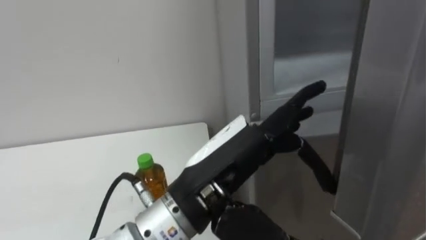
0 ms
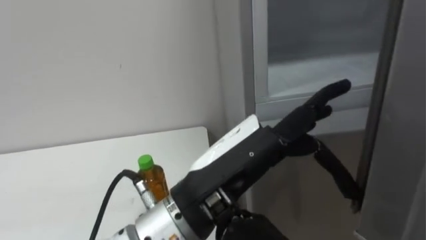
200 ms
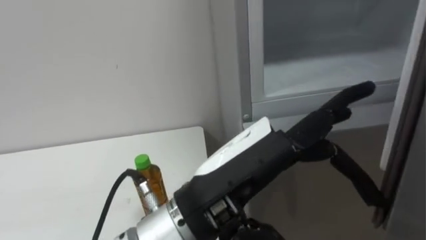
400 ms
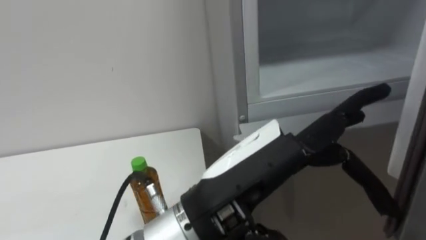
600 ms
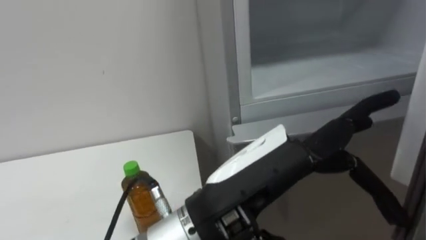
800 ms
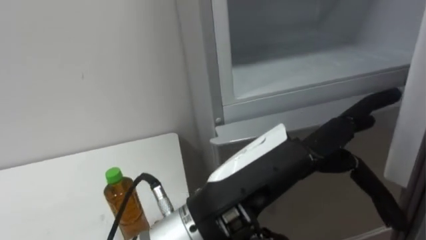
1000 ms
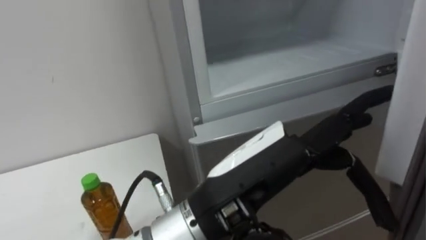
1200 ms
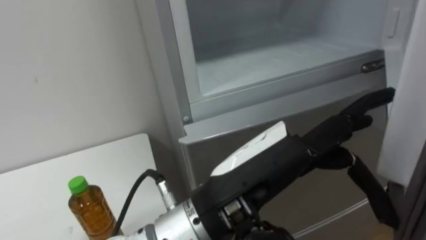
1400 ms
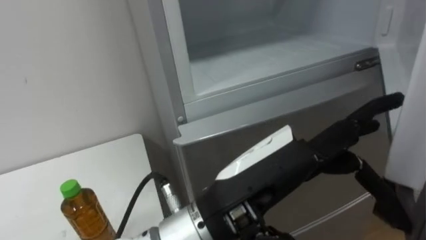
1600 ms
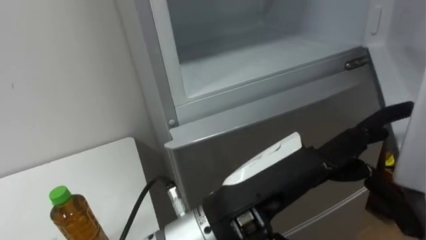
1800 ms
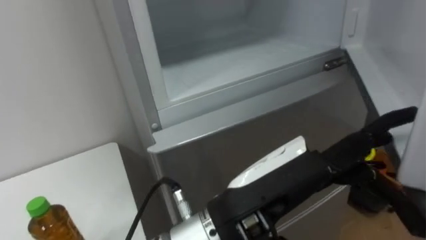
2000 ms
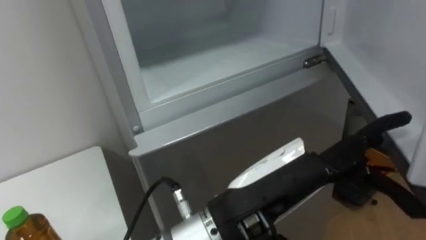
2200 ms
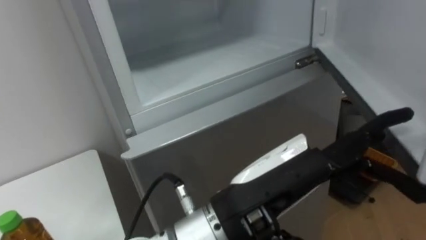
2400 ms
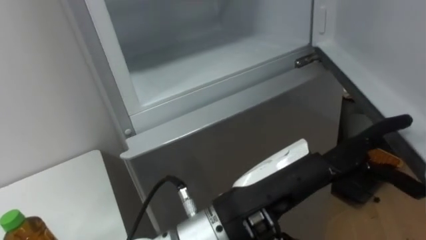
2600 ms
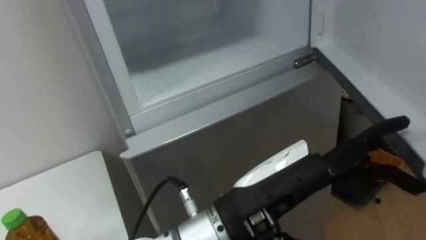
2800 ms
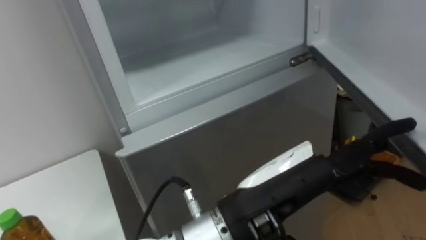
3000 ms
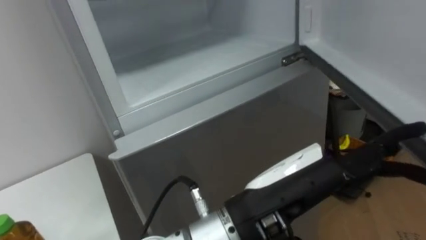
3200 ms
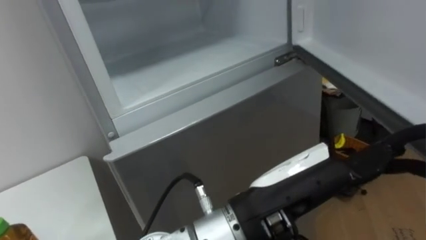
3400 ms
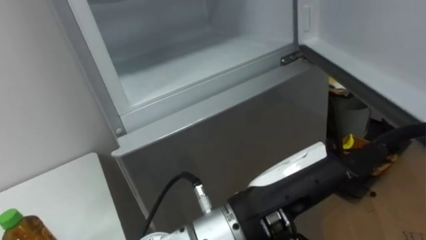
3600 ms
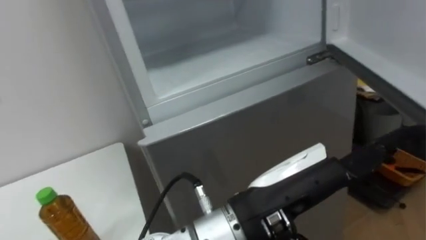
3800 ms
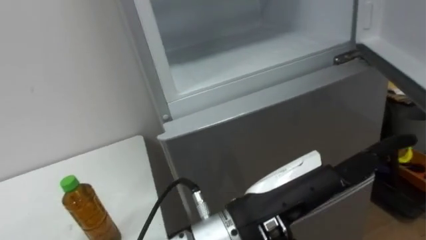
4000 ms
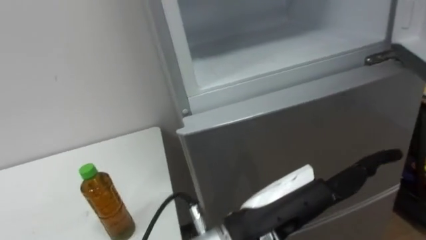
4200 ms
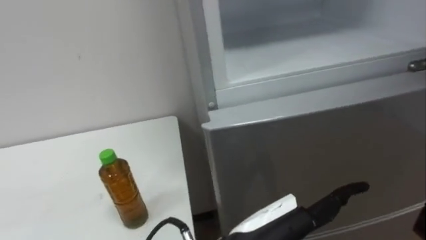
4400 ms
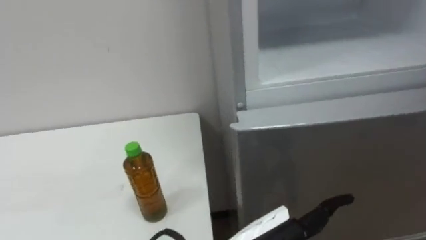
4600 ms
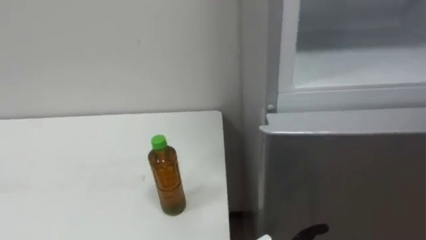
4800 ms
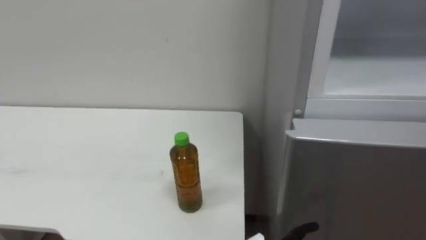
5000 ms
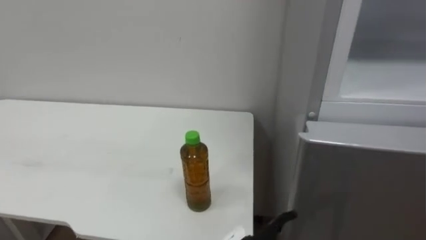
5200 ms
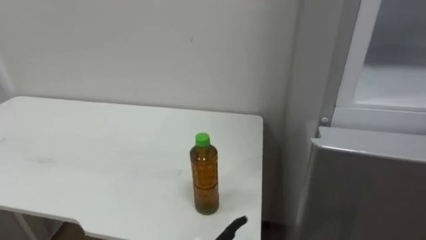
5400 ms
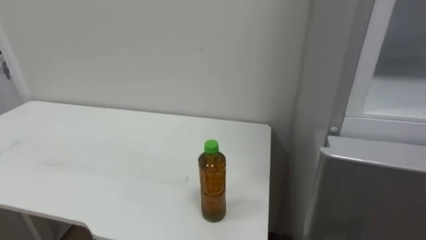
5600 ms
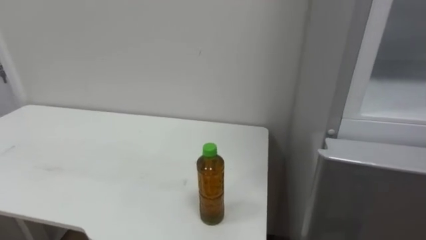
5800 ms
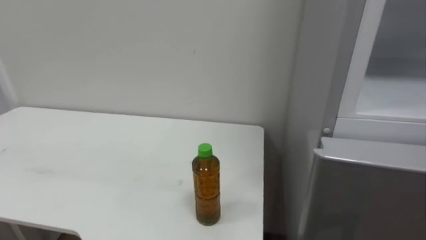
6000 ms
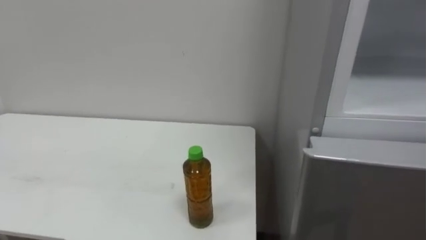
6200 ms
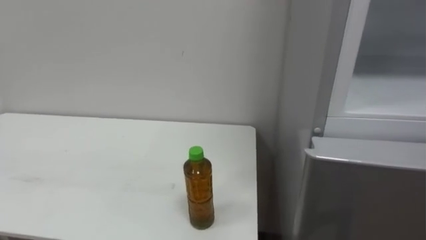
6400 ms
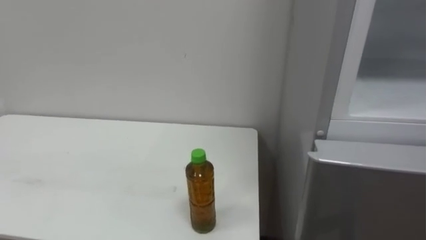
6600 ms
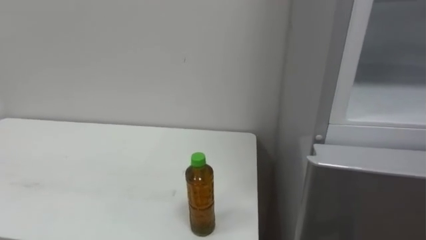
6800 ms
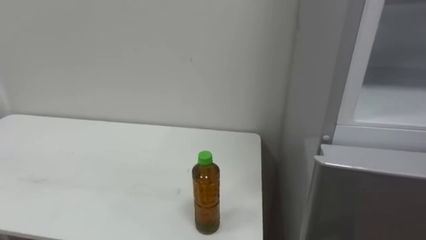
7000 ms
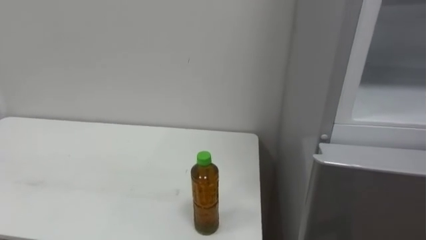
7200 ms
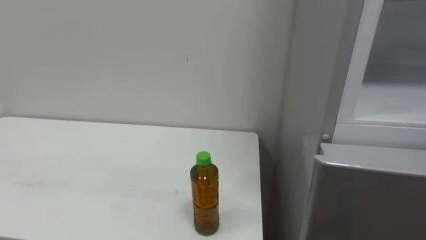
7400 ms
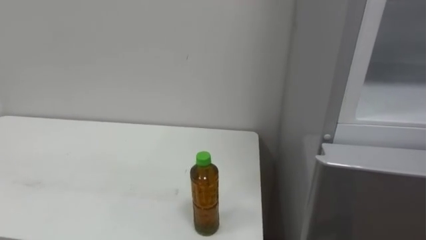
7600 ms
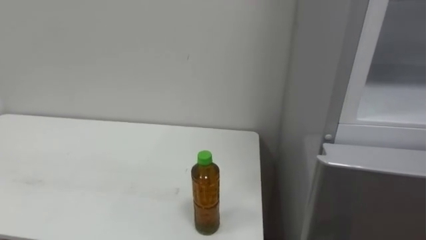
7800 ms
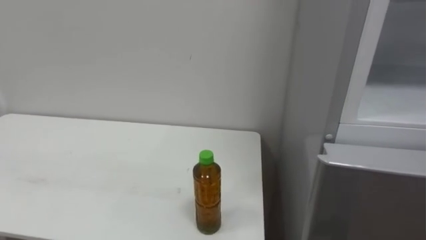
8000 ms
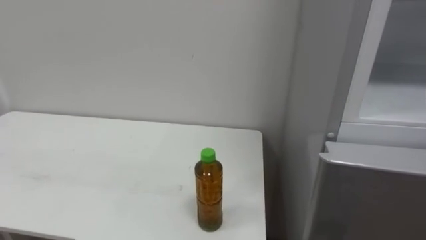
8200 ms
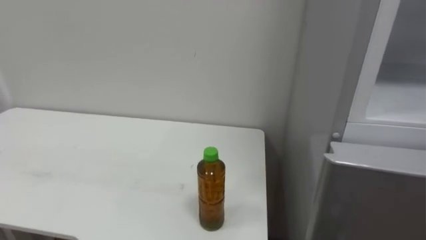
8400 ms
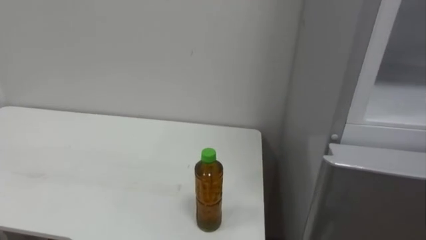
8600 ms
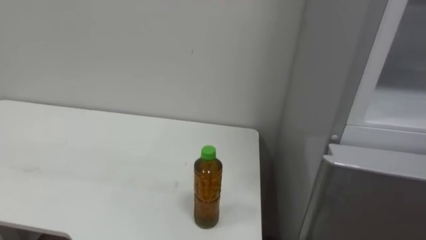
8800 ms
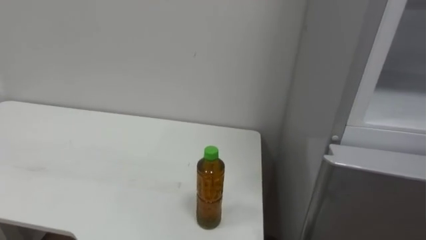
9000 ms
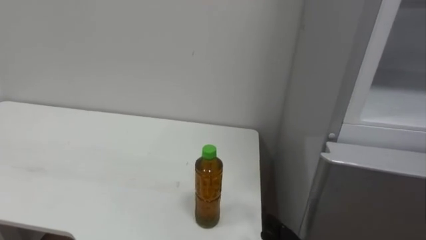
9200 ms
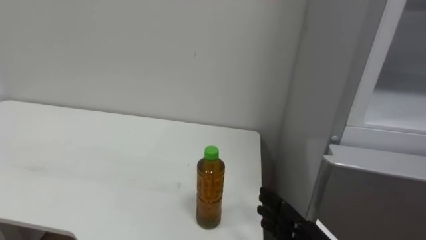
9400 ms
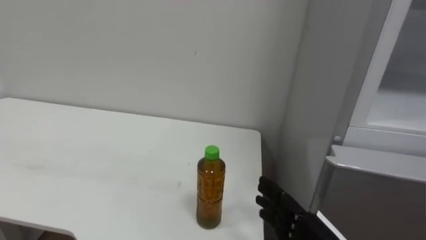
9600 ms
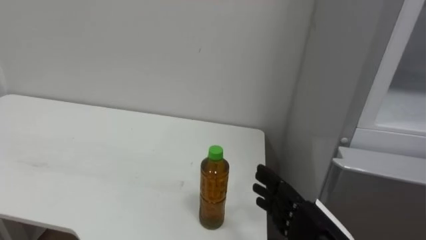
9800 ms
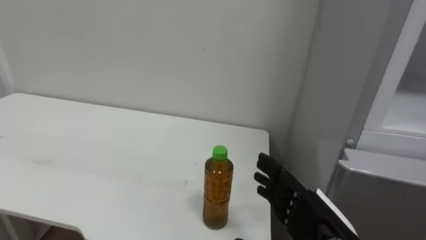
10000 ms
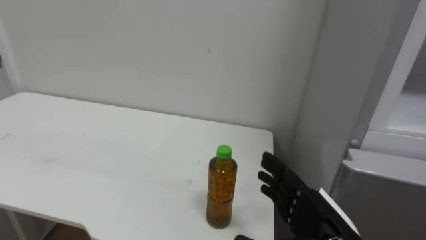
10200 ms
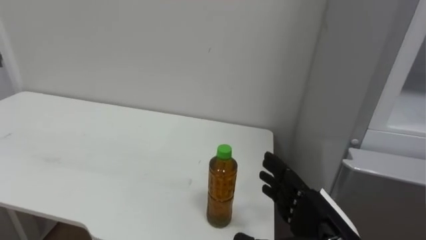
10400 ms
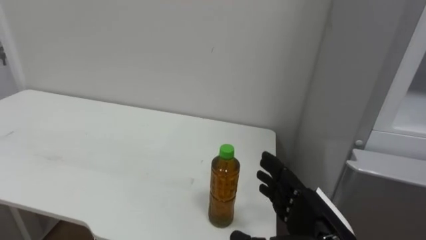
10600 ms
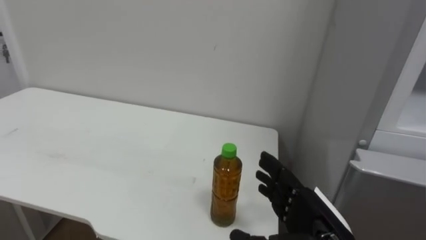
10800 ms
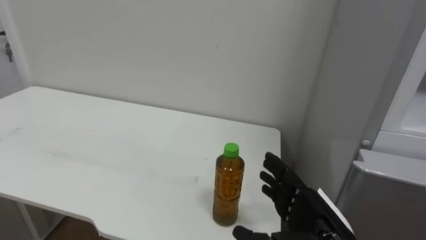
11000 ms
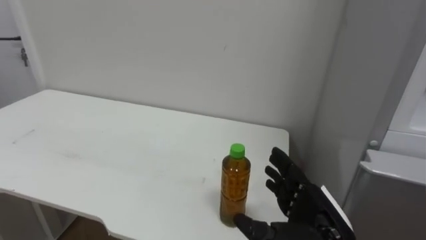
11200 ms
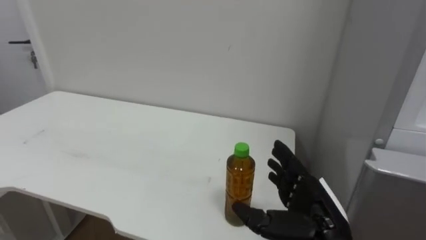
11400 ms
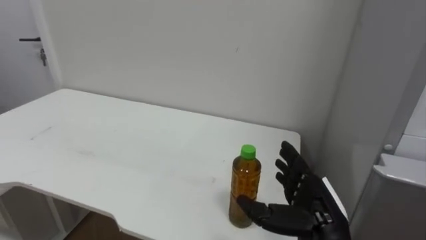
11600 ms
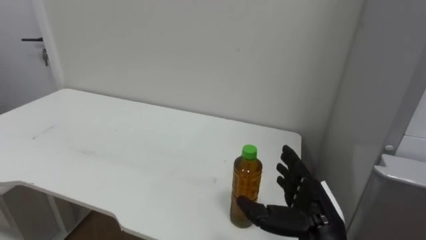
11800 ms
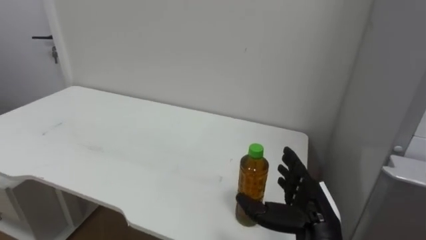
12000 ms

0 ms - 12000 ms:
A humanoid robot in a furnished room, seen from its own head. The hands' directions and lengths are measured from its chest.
Task of the whole recording: Open the upper refrigerator door, put the drink from the table into the refrigerator, and then close the refrigerator door.
3000 ms - 4400 ms: The left hand moves downward, about 5 cm.
10400 ms - 12000 ms: The right hand ends up about 5 cm from where it was.

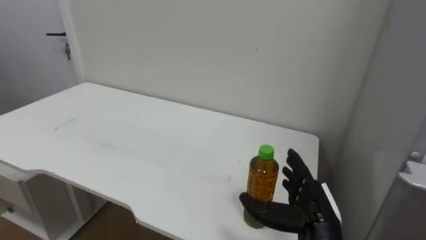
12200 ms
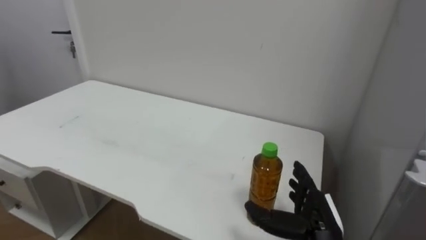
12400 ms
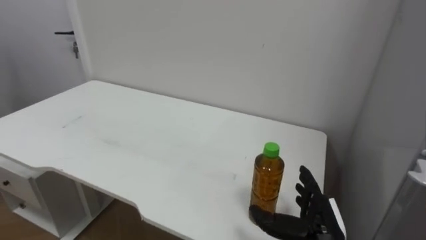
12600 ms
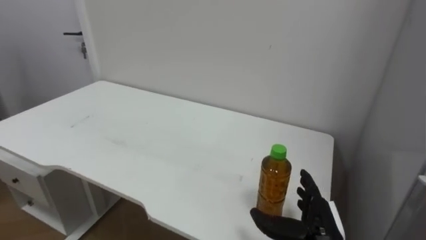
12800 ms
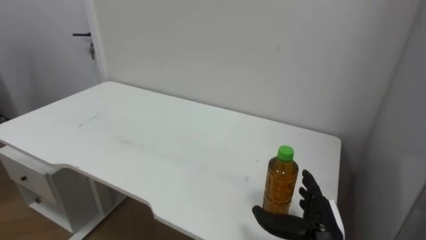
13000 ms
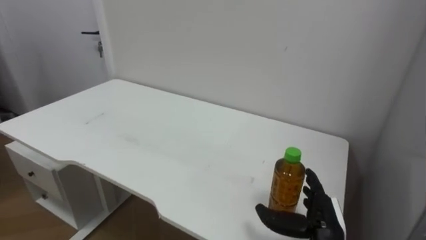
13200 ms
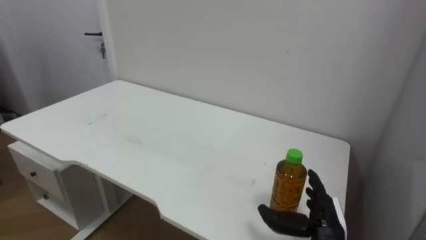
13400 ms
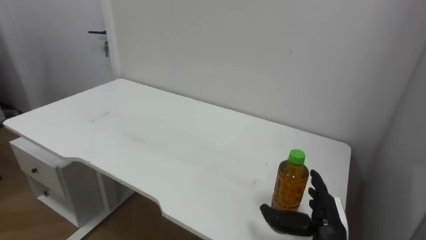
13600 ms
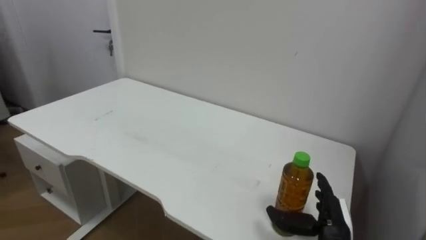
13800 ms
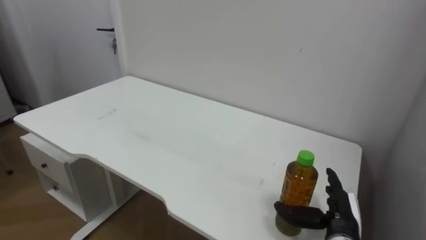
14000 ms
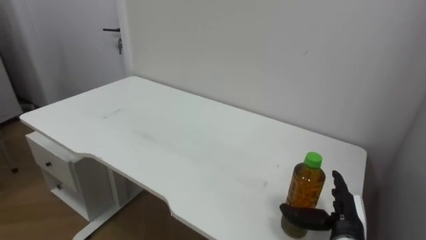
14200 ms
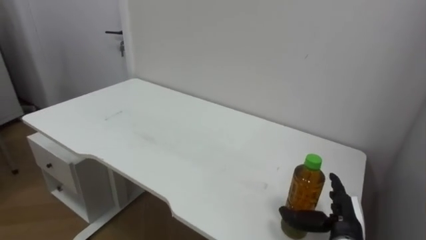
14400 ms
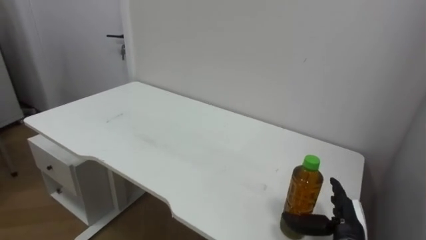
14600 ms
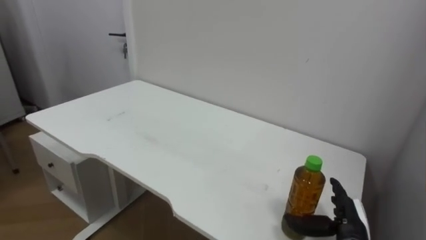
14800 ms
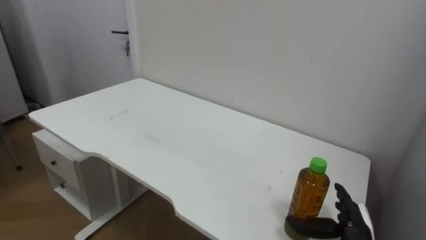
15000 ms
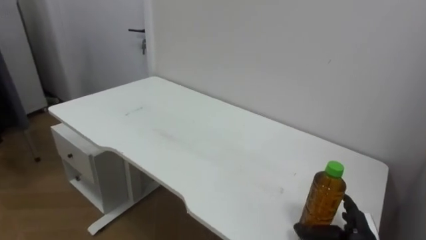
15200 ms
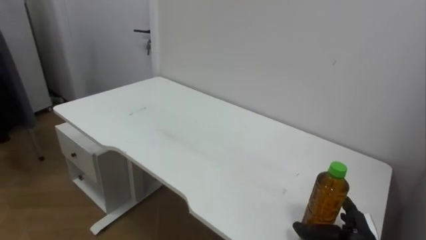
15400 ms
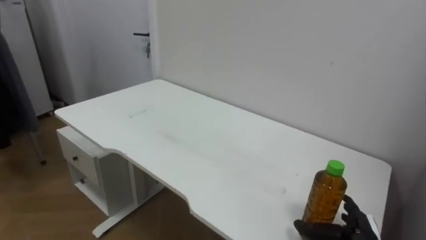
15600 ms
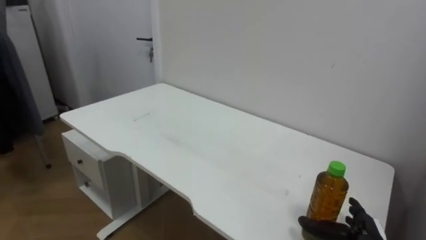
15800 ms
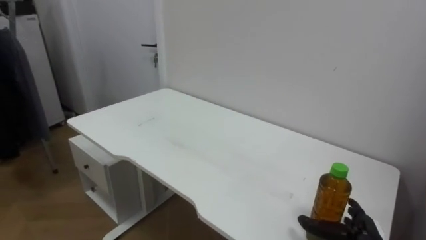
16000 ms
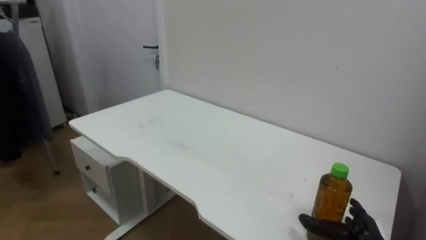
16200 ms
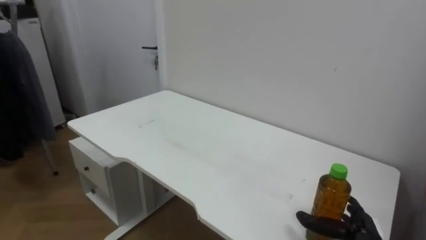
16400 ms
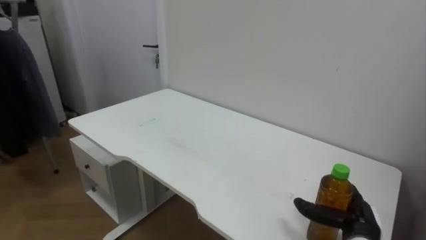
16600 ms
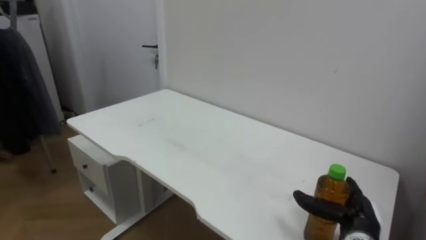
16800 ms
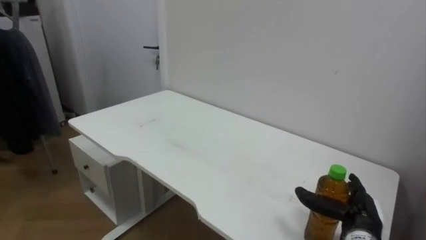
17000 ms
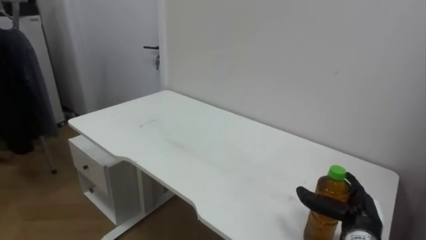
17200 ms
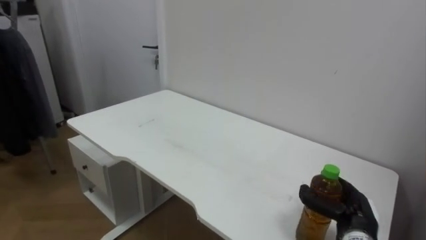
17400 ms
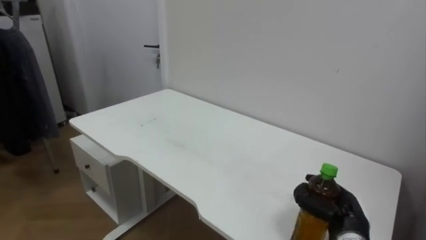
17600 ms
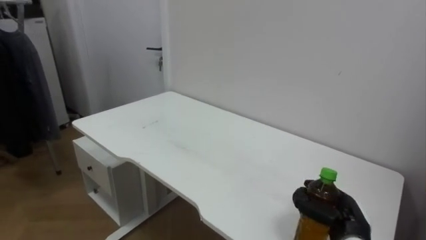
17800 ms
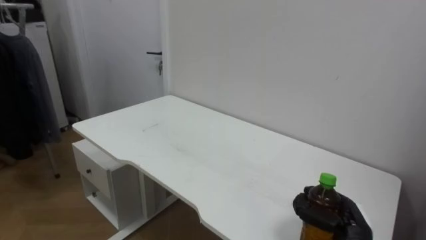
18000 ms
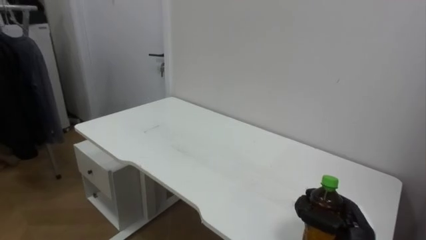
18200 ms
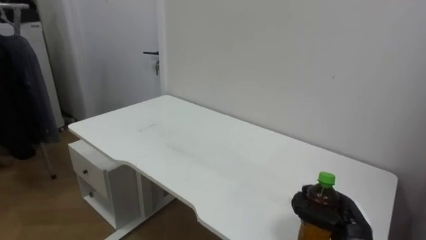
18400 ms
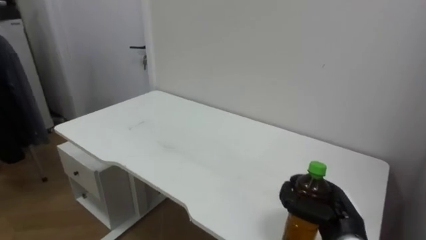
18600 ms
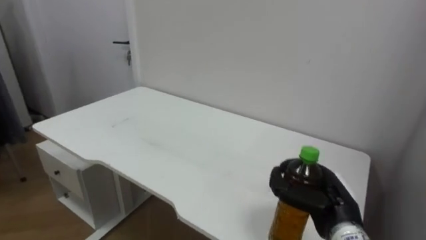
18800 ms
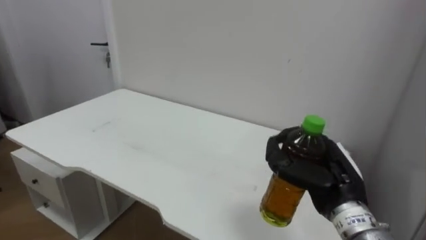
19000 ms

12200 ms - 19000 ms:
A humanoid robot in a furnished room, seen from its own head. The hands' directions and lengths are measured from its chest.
Task of the whole recording: Open the upper refrigerator door, put the drink from the table into the refrigerator, and then close the refrigerator door.
12200 ms - 13600 ms: The right hand moves downward, about 5 cm.
13600 ms - 15000 ms: The right hand travels to the right by about 5 cm.
16200 ms - 17600 ms: The right hand ends up some 5 cm from where it was, and closes up.
17600 ms - 19000 ms: The right hand heads upward and to the left, covering roughly 15 cm.
